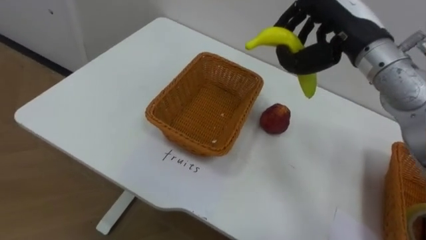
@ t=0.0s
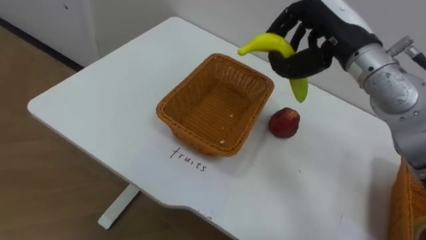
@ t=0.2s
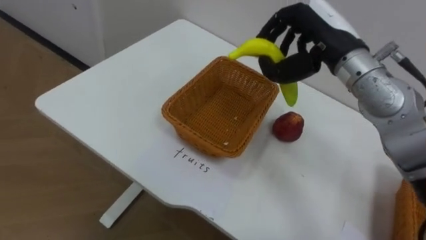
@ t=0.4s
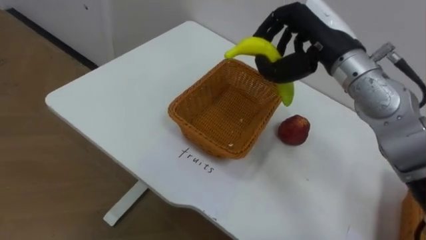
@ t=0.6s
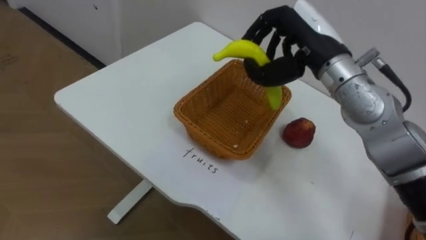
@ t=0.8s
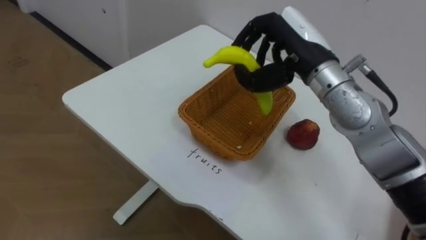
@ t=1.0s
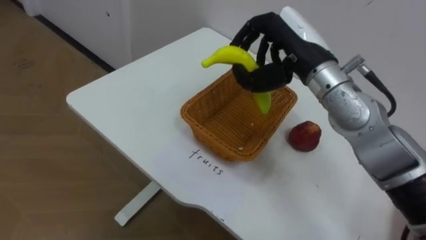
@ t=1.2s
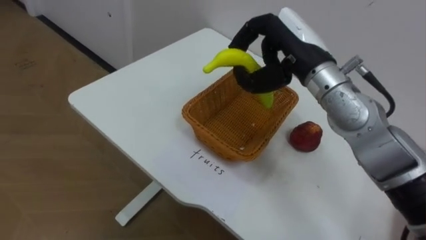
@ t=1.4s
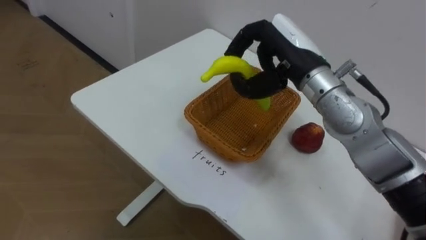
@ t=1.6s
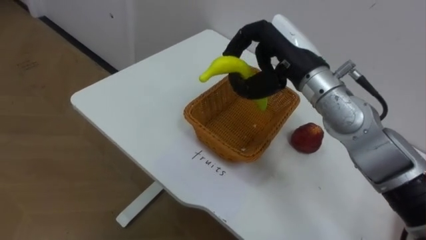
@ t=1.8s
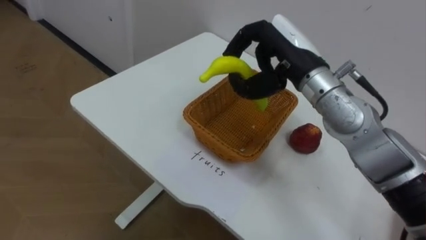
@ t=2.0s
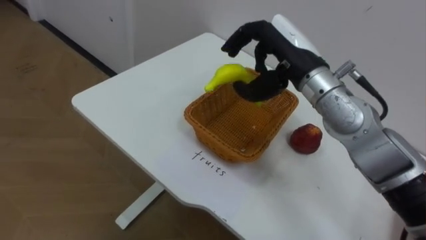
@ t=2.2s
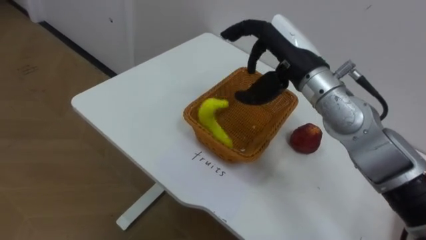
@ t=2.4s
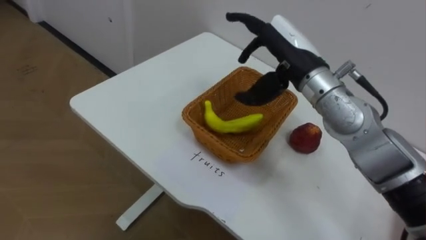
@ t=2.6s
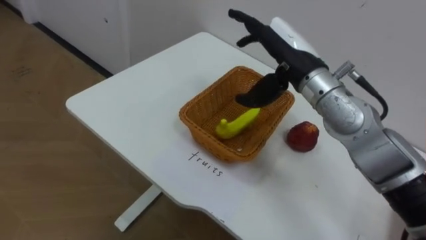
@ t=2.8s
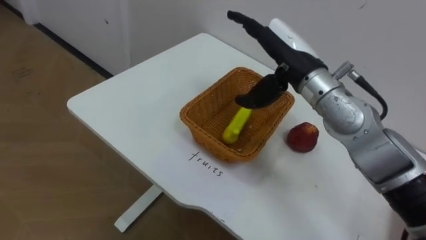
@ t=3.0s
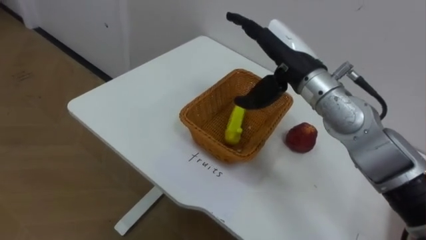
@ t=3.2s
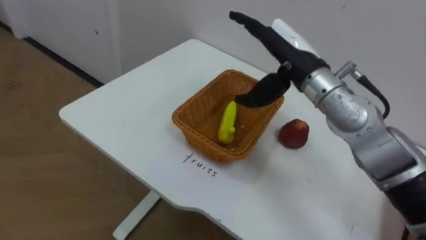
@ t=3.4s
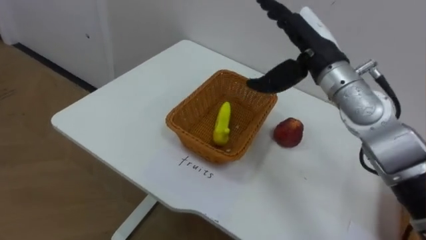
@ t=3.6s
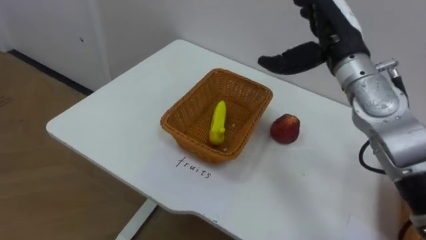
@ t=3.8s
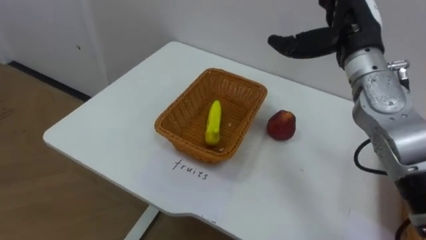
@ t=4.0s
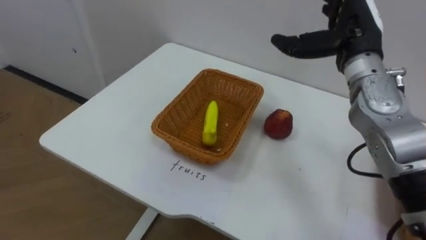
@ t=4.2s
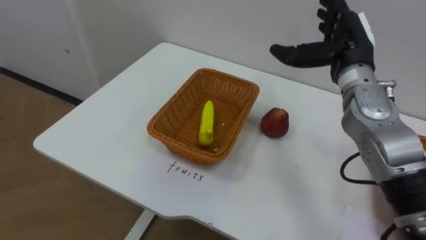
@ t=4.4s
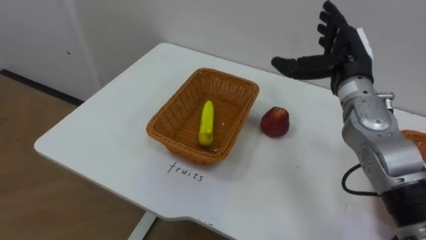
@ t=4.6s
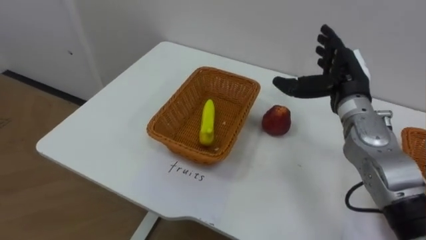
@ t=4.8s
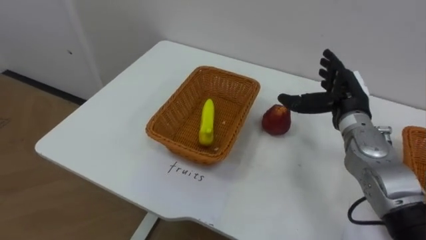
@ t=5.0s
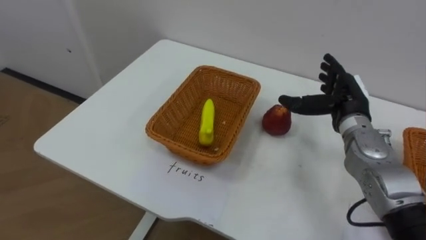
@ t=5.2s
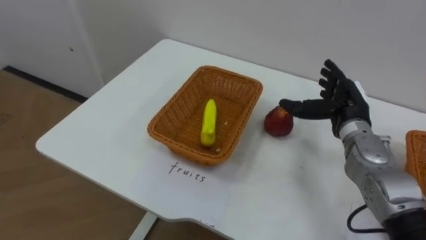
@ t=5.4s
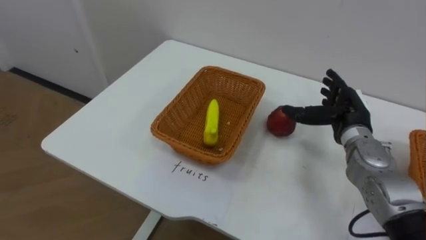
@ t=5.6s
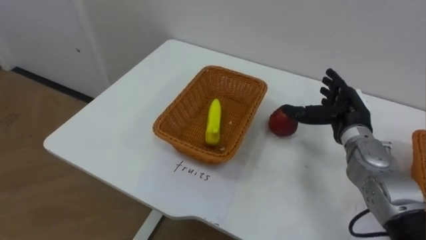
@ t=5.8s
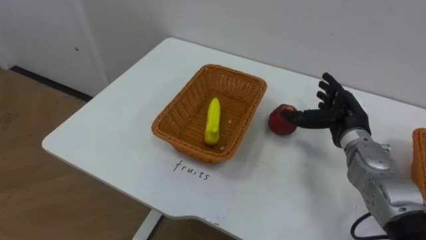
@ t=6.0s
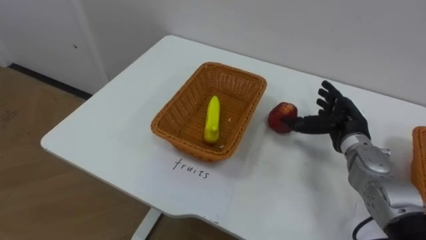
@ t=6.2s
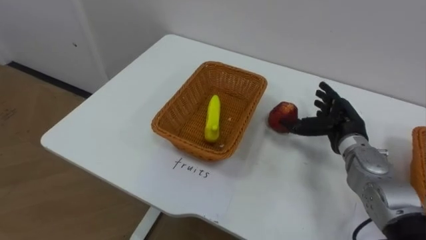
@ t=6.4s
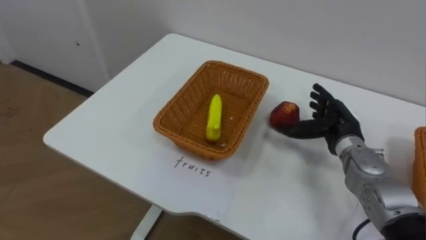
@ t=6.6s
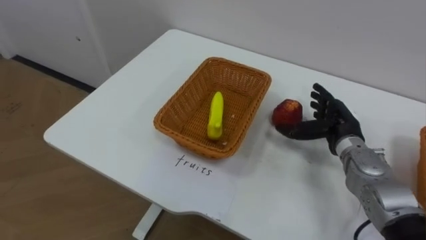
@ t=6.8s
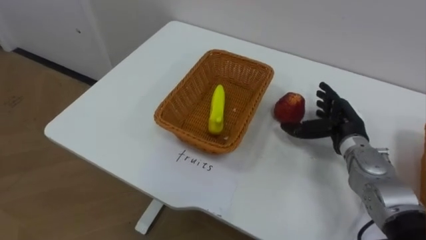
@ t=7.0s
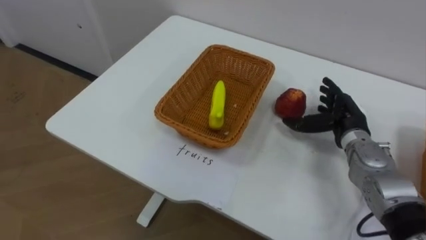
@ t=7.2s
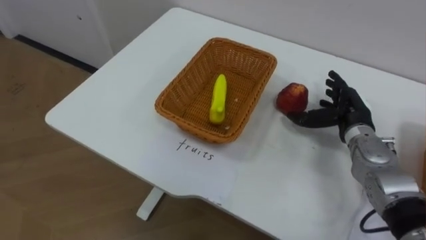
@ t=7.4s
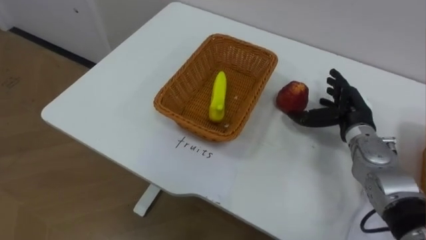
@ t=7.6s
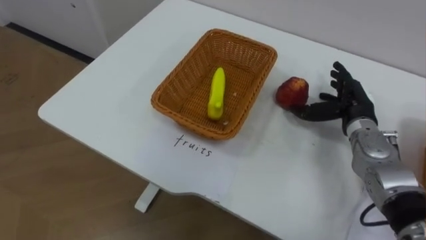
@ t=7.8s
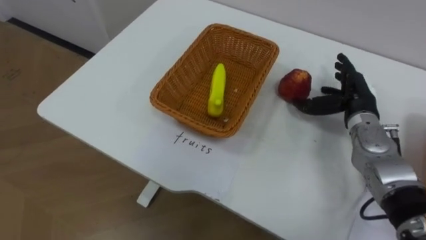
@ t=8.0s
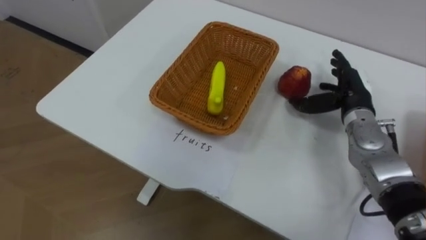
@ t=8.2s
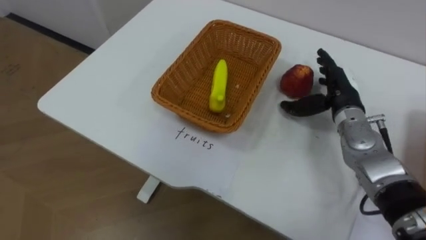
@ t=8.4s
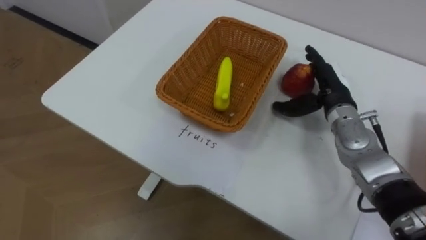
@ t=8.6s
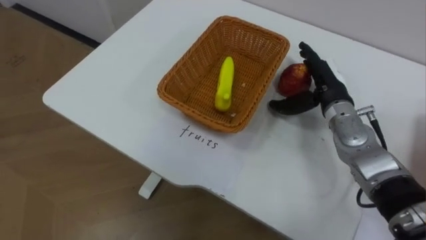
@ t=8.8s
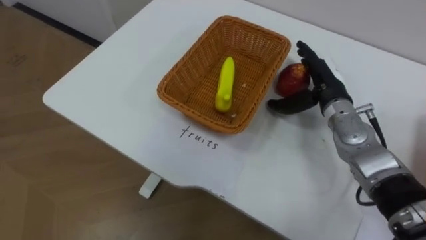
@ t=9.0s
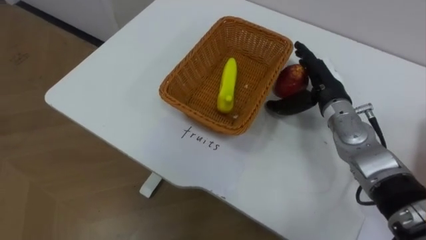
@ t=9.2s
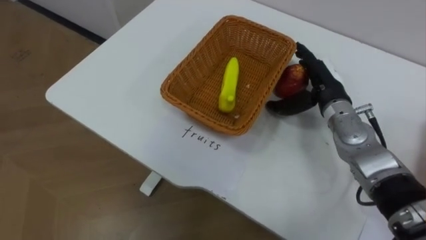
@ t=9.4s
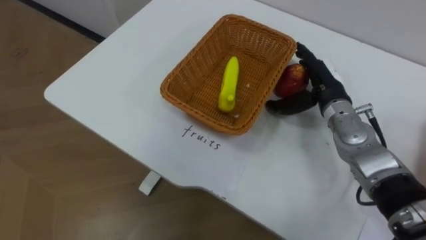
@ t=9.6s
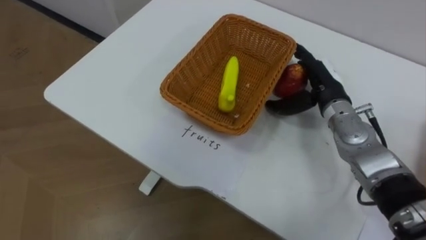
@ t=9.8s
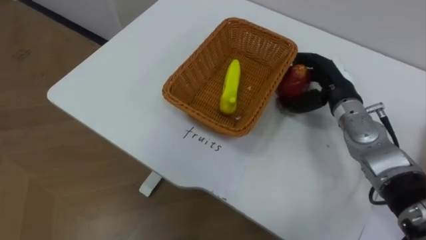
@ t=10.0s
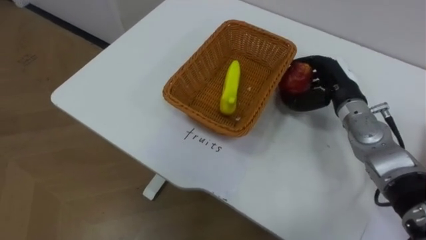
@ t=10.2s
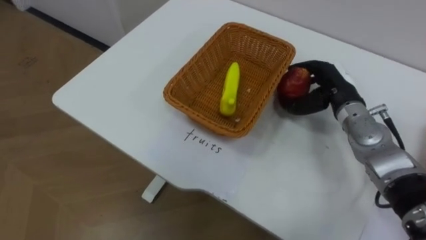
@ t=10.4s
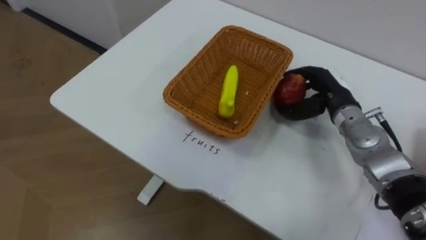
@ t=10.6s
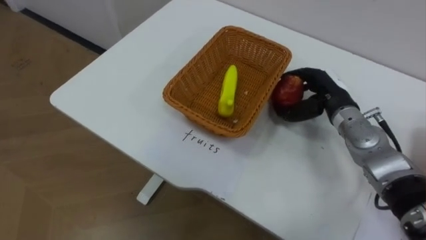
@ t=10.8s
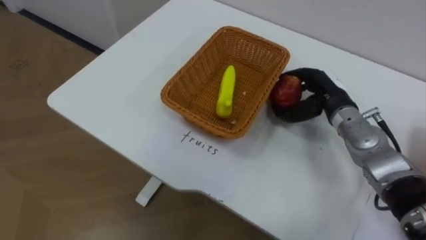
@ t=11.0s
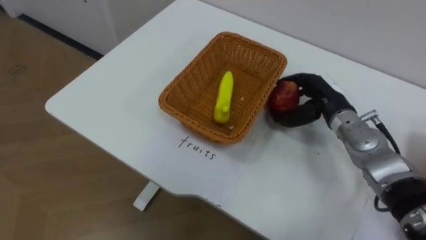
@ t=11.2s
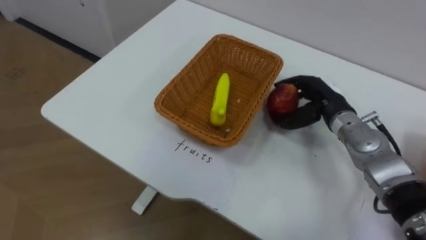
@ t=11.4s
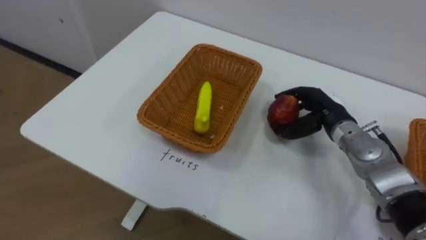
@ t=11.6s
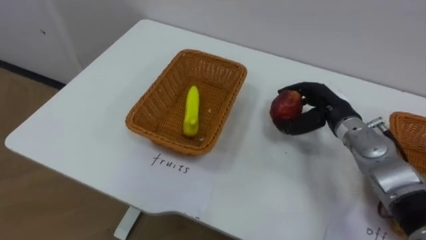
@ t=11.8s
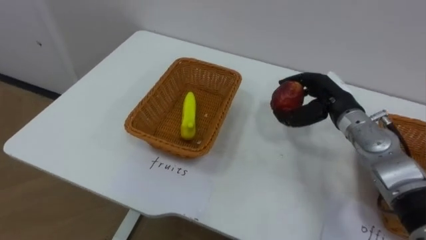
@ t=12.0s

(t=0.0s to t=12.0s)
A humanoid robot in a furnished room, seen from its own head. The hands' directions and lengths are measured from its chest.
Task of the whole recording: Separate the items on the table and place them into the two baskets.
t=0.0s - t=1.6s: The right hand travels to the left by roughly 10 cm.
t=1.6s - t=3.0s: The right hand opens.
t=3.0s - t=4.4s: The right hand heads to the right, covering approximately 10 cm.
t=4.4s - t=6.0s: The right hand shifts approximately 15 cm downward.
t=7.6s - t=9.0s: The right hand is displaced to the left by about 5 cm.
t=9.0s - t=10.4s: The right hand closes its fingers.

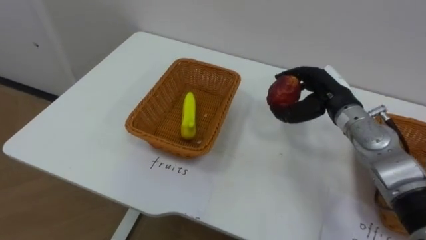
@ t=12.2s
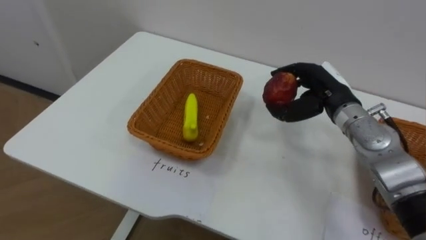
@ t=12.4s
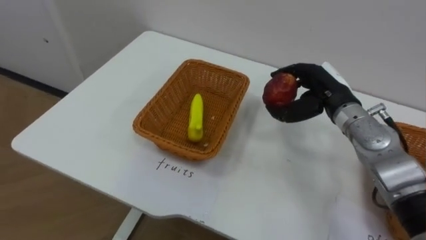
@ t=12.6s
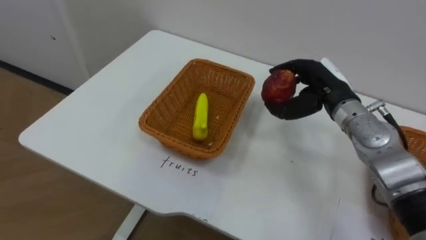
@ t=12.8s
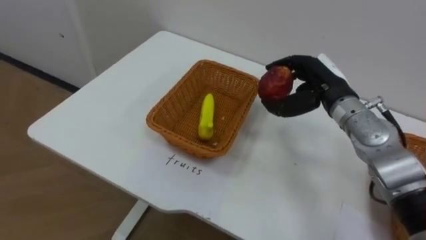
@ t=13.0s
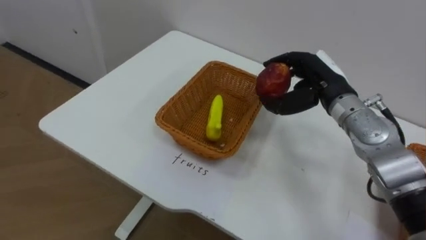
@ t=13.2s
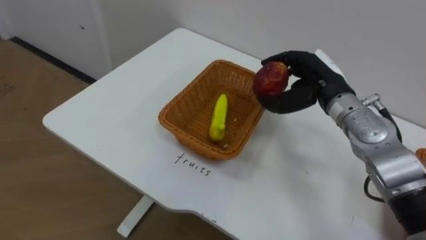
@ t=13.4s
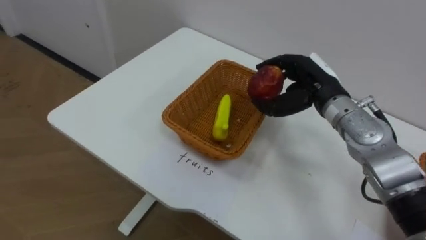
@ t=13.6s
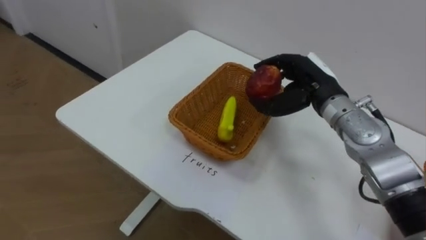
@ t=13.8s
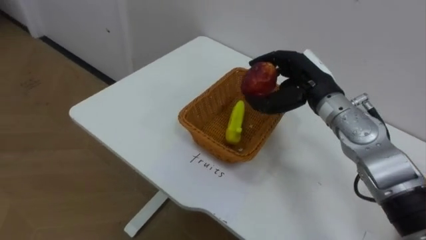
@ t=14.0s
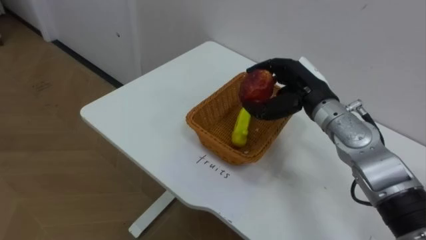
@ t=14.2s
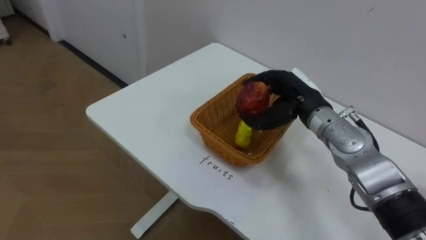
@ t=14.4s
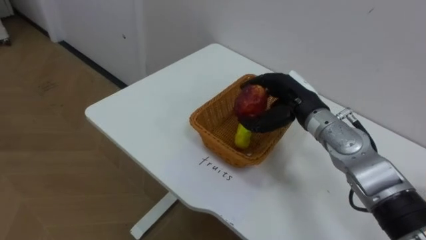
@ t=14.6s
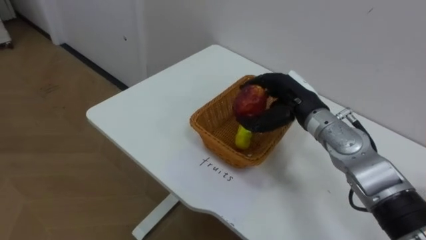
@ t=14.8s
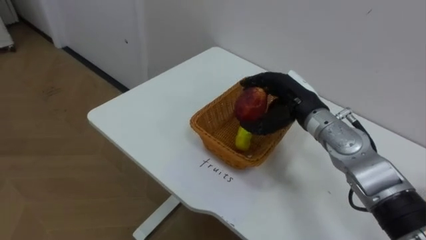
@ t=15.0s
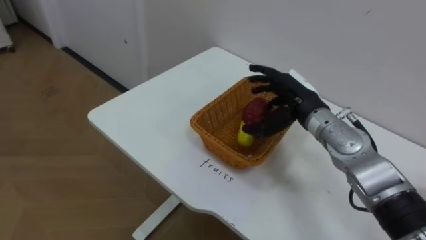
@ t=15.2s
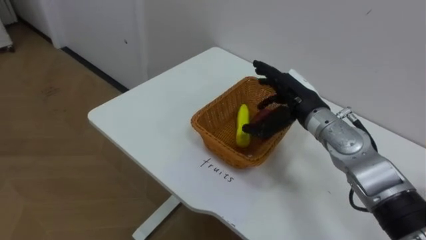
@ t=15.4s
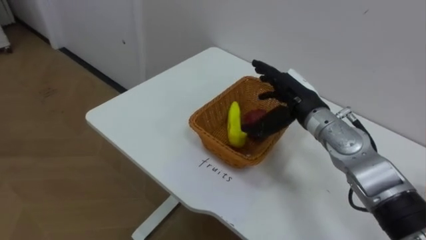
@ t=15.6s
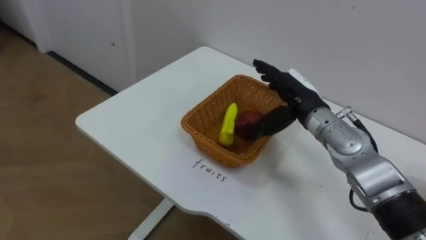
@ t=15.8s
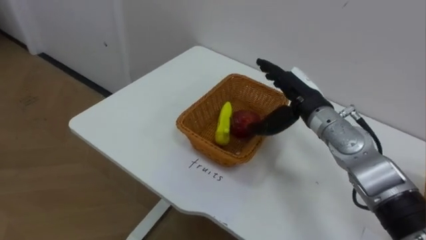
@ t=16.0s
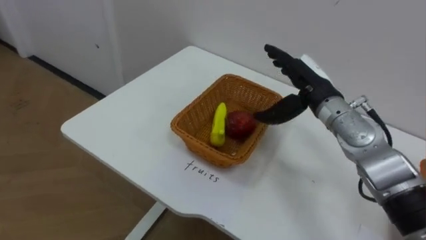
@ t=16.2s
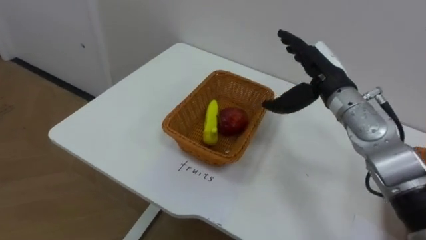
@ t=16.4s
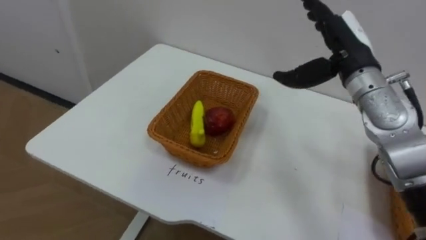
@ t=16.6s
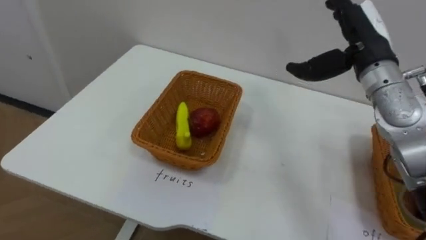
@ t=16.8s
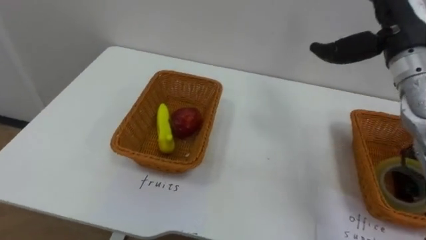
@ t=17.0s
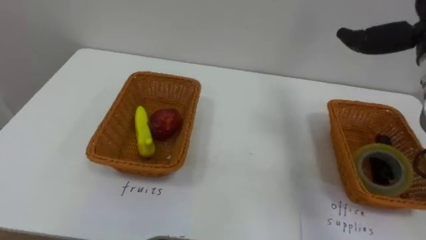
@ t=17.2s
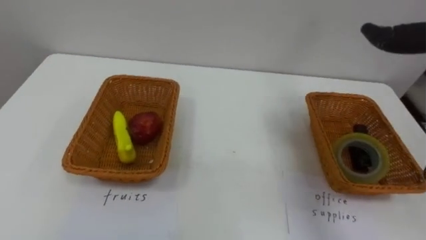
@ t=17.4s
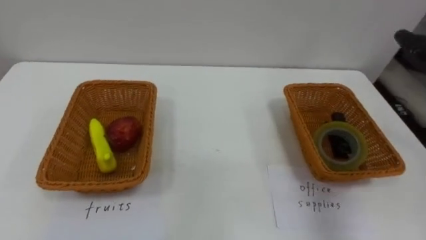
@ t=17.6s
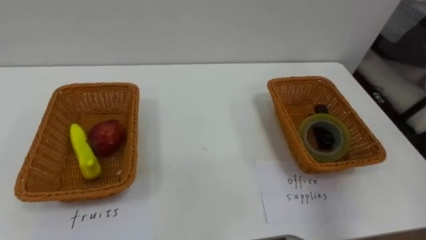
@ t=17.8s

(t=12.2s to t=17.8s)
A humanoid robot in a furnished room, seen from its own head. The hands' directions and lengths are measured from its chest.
Task of the whole recording: Separate the items on the table and place them into the two baskets.
t=15.0s - t=16.4s: The right hand moves some 5 cm, and opens.
